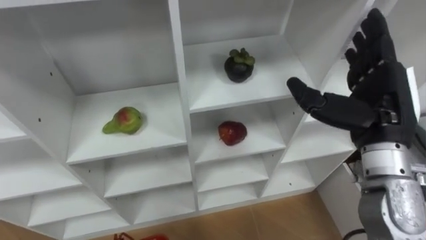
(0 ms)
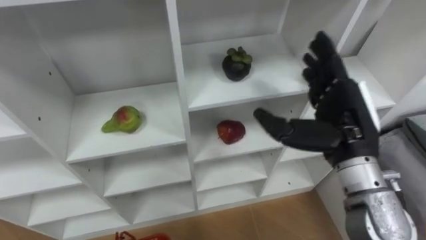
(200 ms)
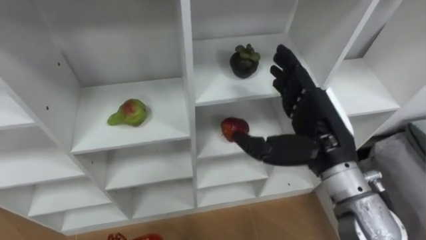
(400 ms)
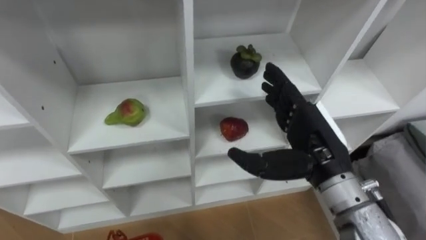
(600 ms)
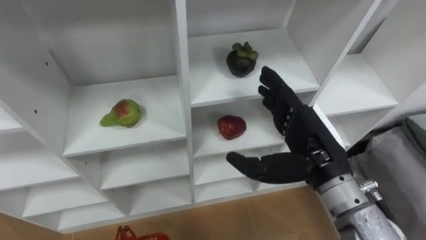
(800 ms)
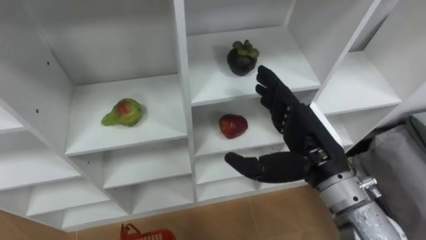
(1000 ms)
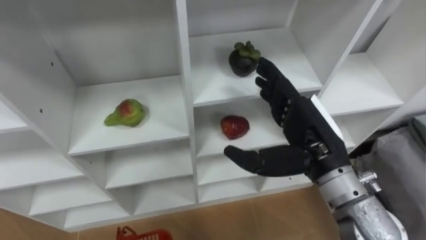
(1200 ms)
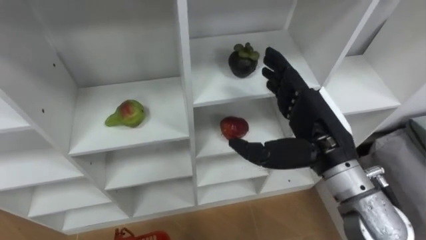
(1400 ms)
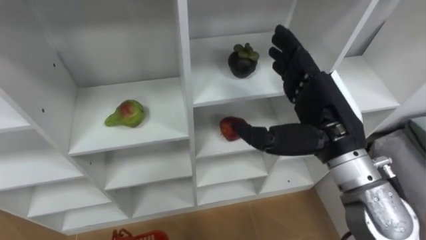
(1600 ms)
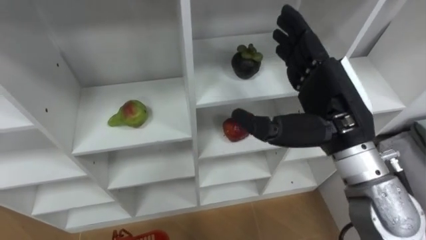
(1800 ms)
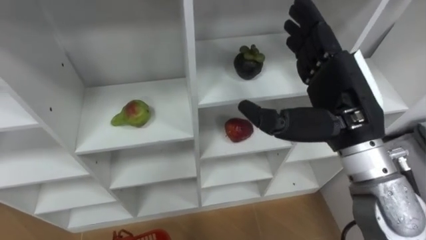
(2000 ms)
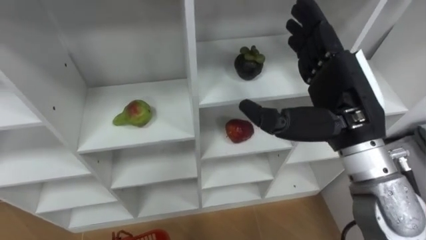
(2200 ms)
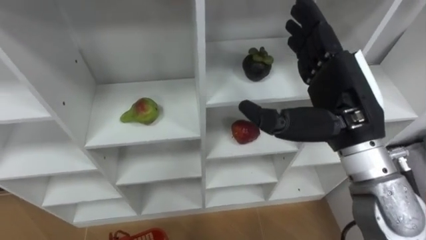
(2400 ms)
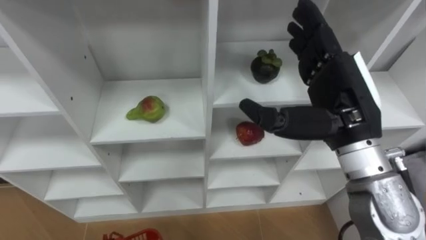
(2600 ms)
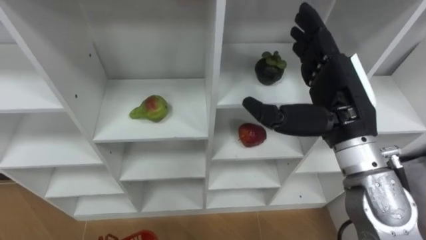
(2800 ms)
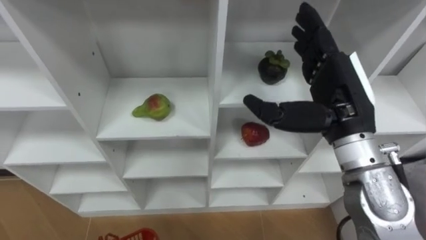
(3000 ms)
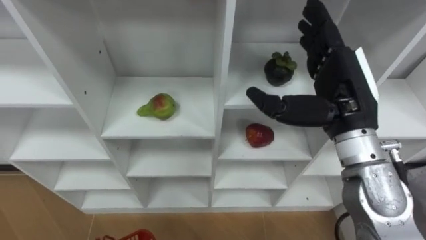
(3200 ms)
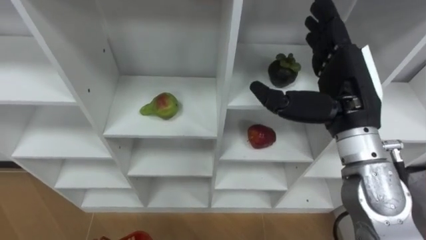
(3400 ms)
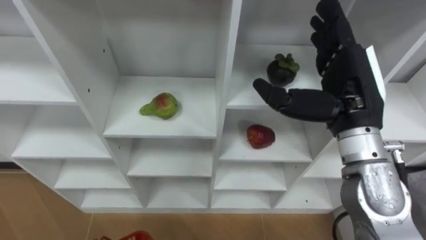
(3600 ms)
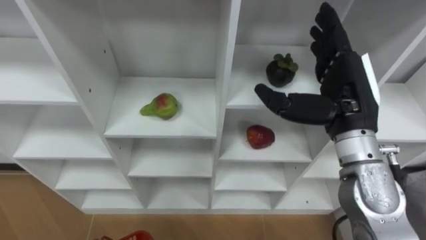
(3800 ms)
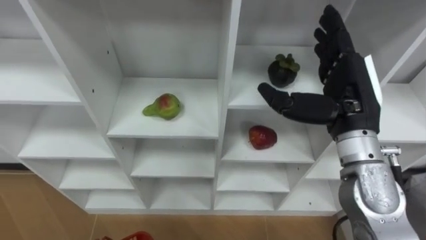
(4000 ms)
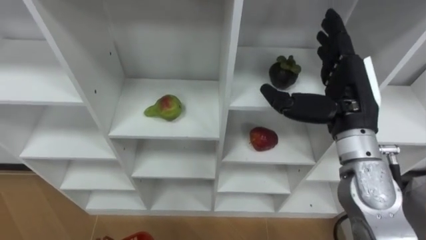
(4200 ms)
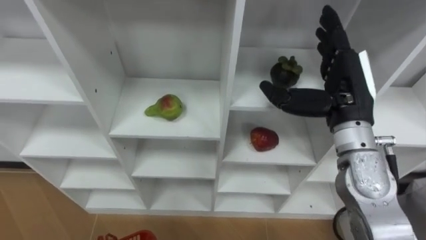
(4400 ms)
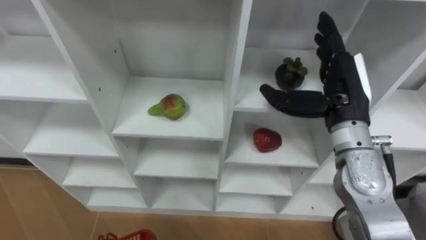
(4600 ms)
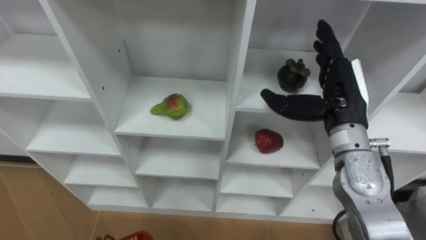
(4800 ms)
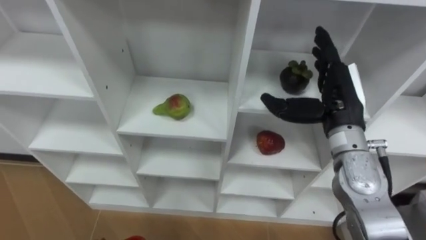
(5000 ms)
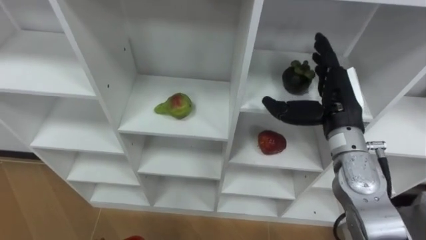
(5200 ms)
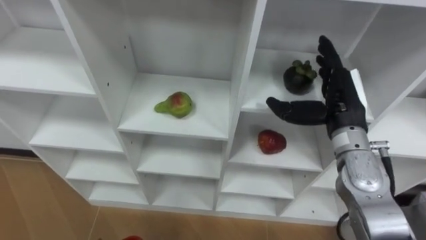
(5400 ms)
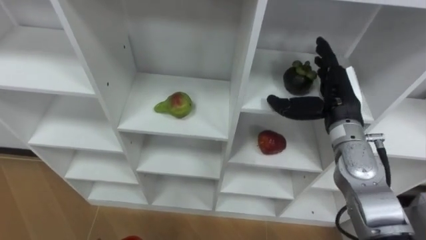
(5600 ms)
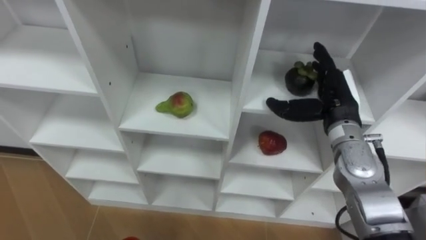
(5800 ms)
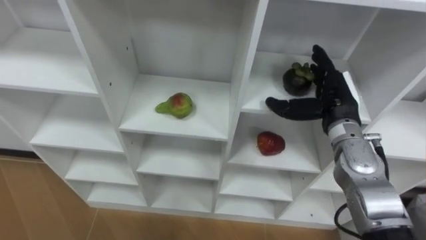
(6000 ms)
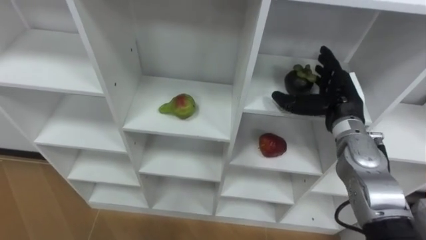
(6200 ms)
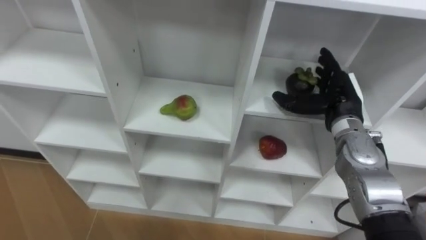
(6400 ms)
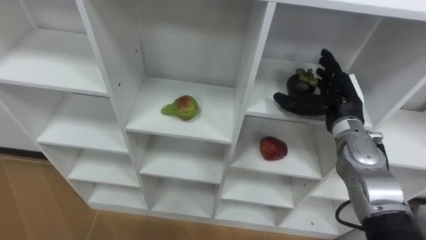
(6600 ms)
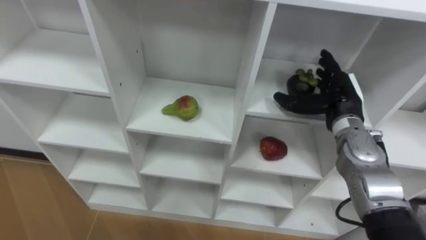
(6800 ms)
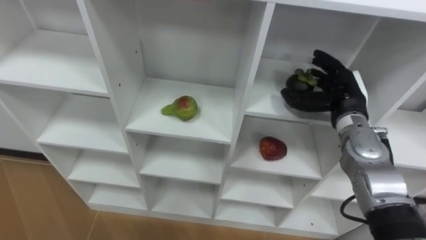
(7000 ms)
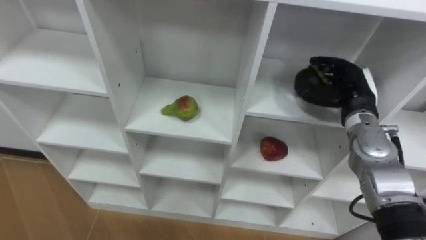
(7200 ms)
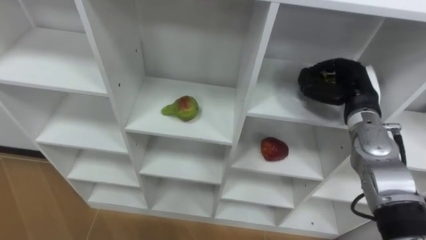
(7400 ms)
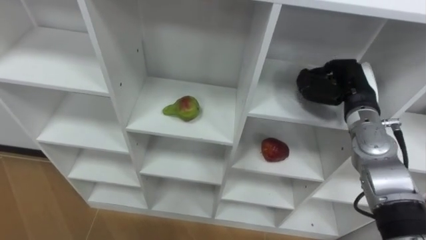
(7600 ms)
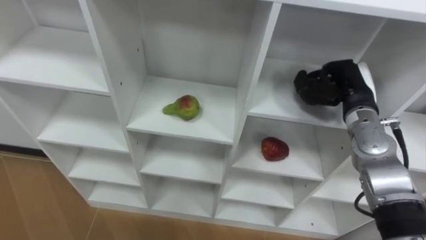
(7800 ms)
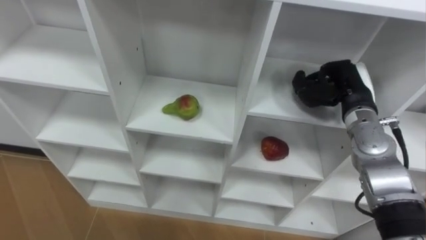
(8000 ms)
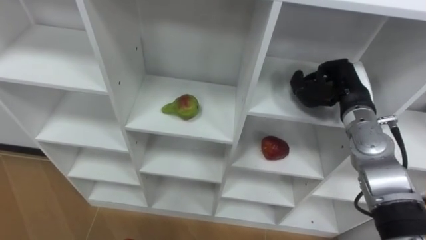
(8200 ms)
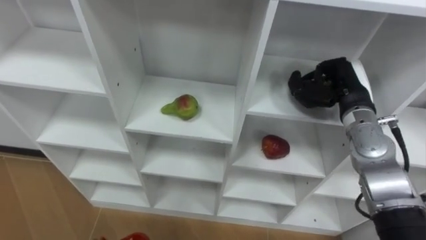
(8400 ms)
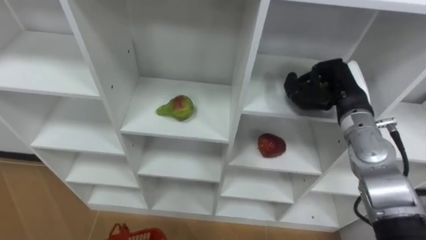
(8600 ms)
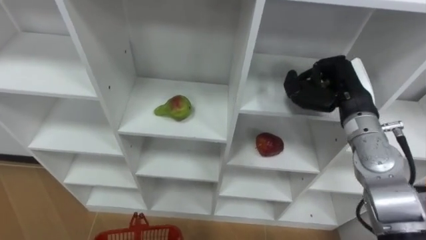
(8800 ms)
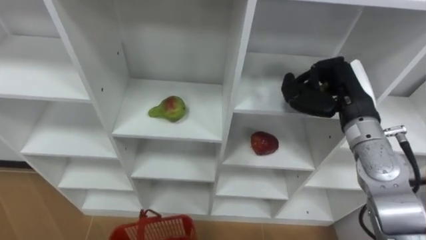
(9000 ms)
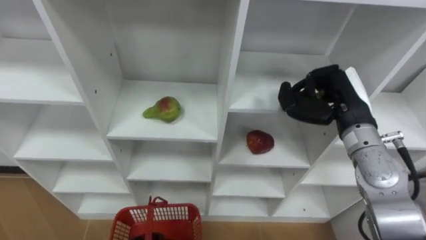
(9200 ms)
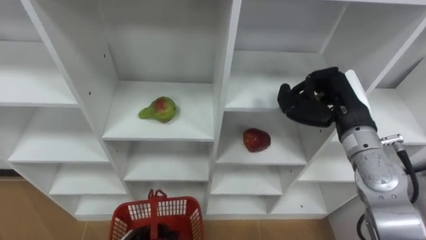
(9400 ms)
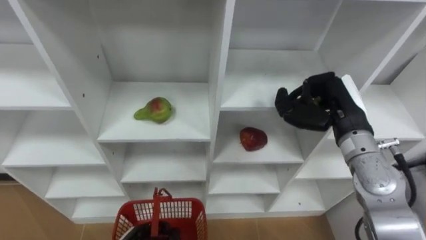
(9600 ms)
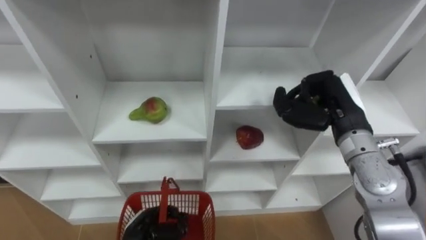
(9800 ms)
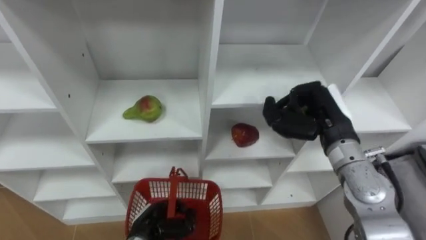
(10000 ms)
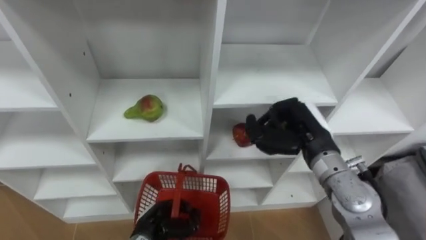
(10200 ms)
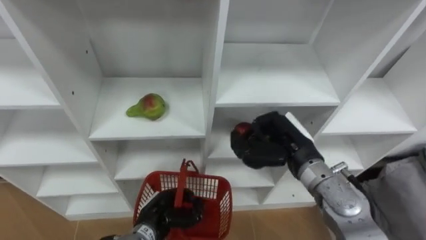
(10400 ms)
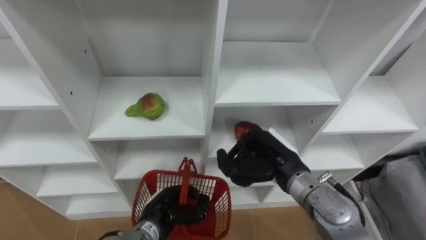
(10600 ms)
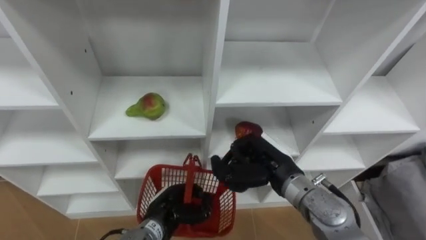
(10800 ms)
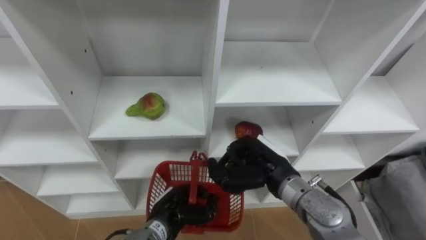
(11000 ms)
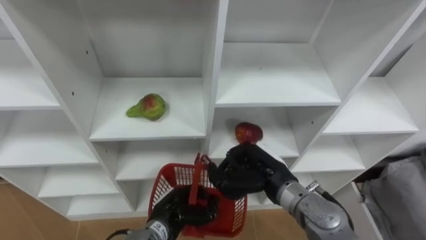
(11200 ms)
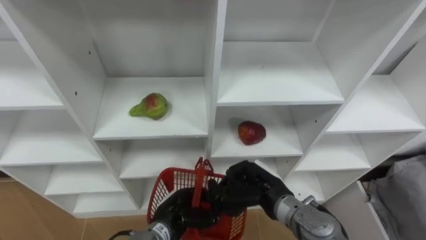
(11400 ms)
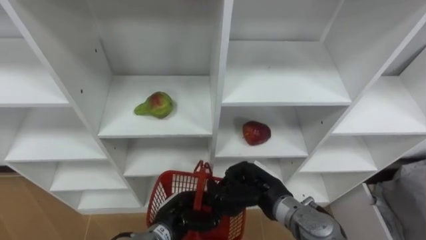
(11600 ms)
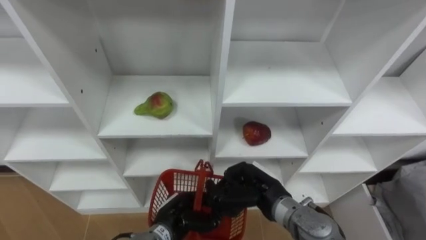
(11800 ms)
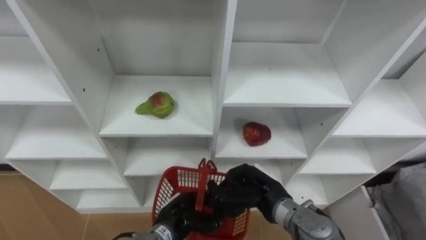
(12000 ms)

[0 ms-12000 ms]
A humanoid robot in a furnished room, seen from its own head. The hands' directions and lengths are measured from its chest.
Task of the whole recording: Hold the basket and collect the fruits from 3 different cells of the closet into it.
0 ms to 1600 ms: The right hand shifts roughly 5 cm to the left.
4400 ms to 6000 ms: The right hand is displaced downward by some 5 cm.
6000 ms to 7600 ms: The right hand closes.
7600 ms to 9000 ms: The right hand changes place by about 5 cm.
9000 ms to 10400 ms: The right hand travels to the left and downward by about 10 cm.
10400 ms to 12000 ms: The right hand goes some 10 cm downward, to the left and backward.

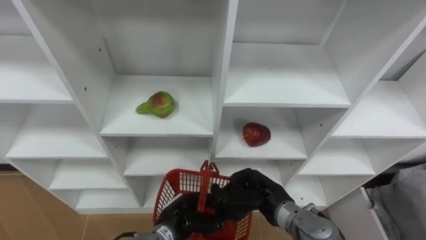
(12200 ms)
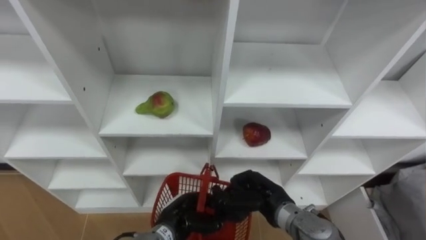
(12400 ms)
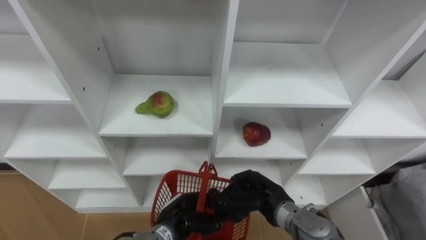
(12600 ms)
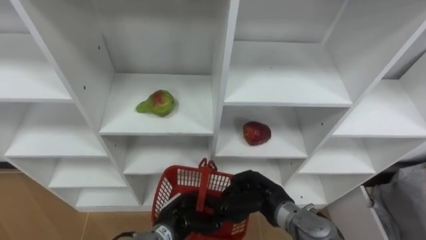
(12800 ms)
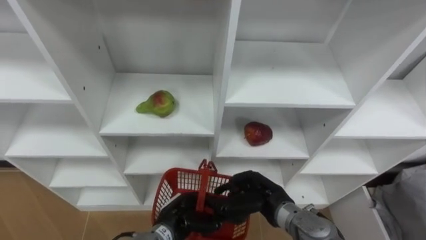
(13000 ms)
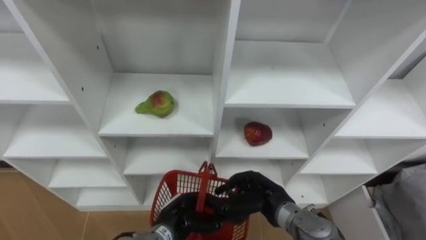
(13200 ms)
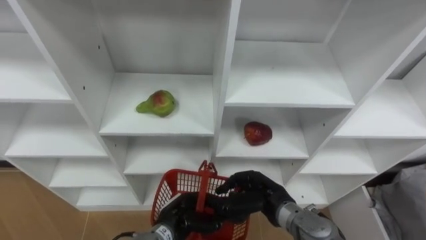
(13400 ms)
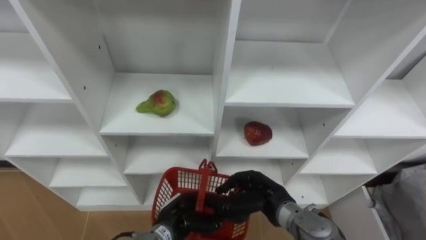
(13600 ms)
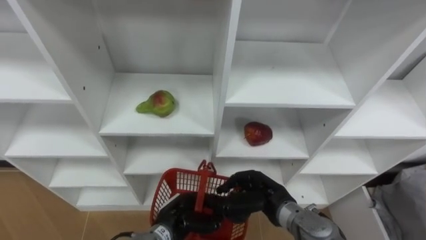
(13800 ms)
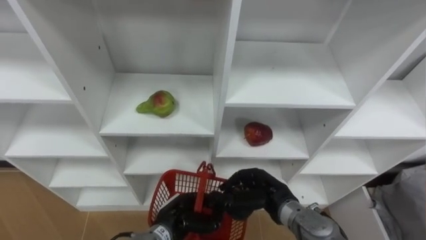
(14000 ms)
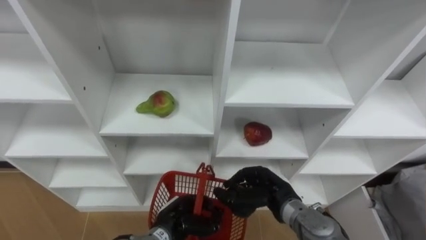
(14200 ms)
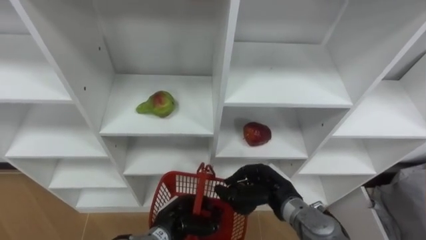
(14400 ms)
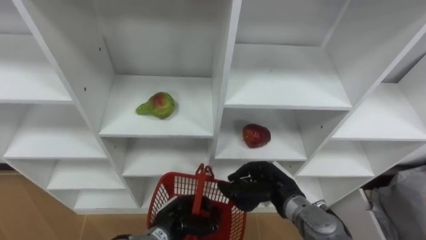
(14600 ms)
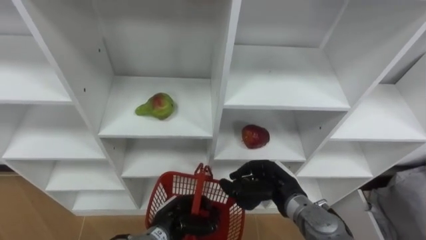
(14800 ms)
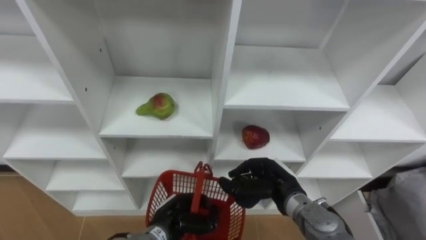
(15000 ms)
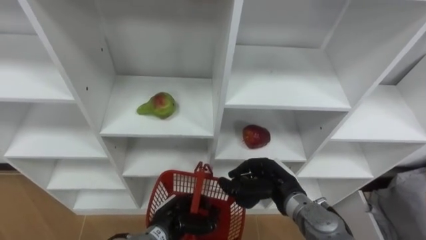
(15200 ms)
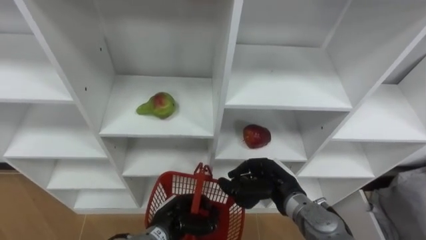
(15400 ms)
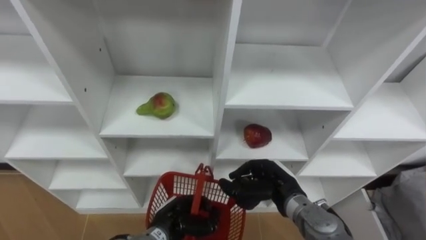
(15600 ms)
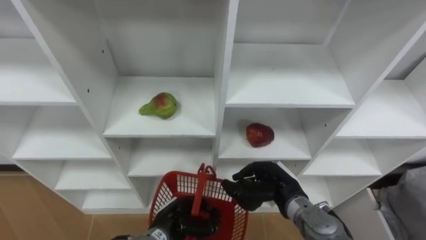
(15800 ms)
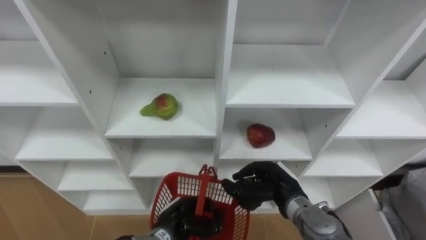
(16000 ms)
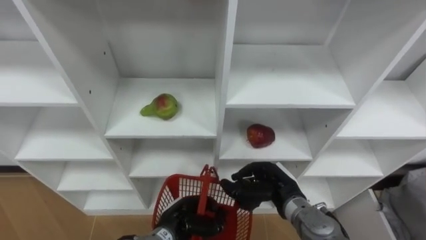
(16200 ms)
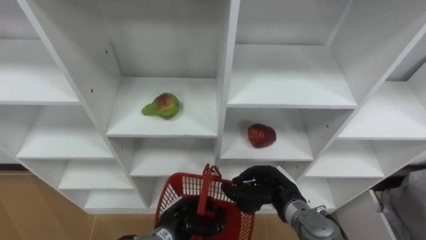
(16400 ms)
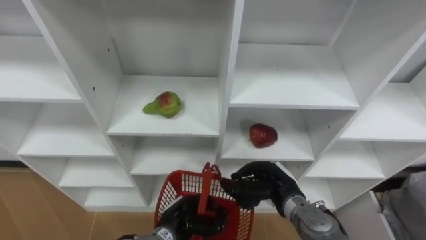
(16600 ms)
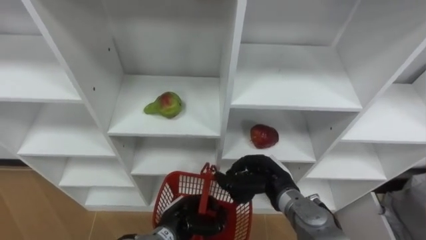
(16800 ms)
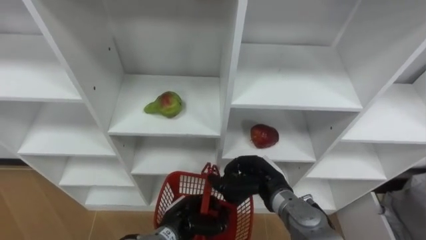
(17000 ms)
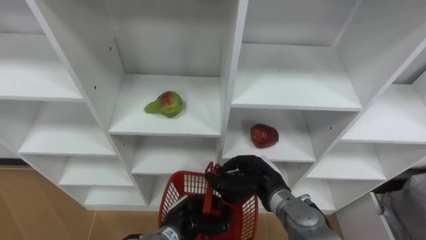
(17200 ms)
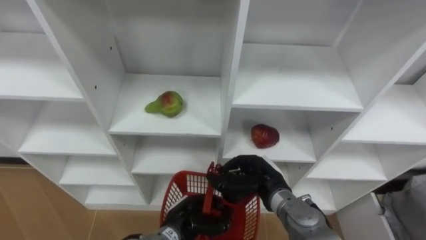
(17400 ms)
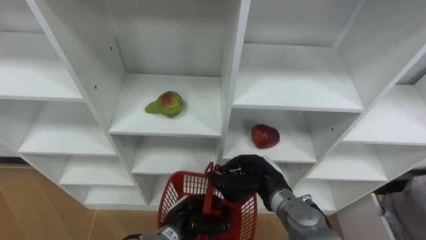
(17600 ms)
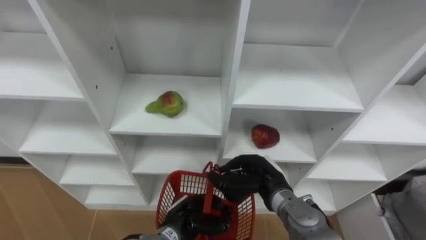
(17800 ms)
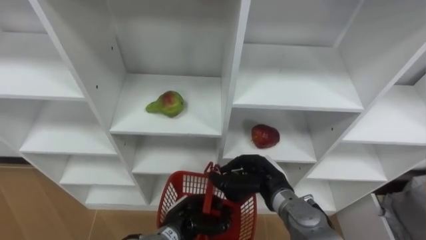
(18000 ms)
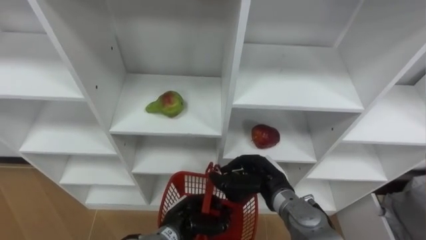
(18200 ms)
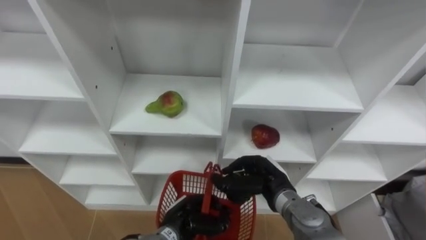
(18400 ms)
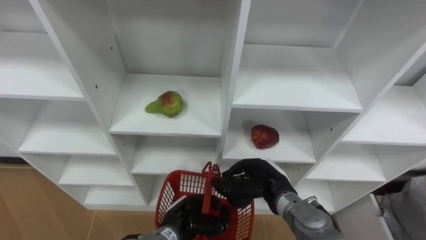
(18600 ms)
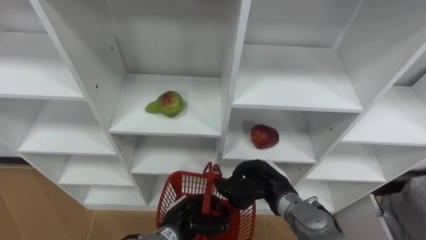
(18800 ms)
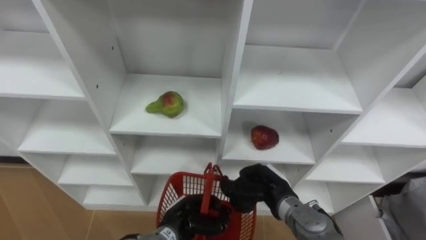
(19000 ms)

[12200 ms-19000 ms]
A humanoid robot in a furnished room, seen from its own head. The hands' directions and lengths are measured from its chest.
Task of the whole recording: Hold the basket and collect the fruits from 3 different cells of the closet into it.
12200 ms to 13600 ms: Both hands stay about where they are.
13600 ms to 15000 ms: The hands move only a little.
15000 ms to 16200 ms: Neither hand changes place.
17600 ms to 19000 ms: The hands make only small movements.
